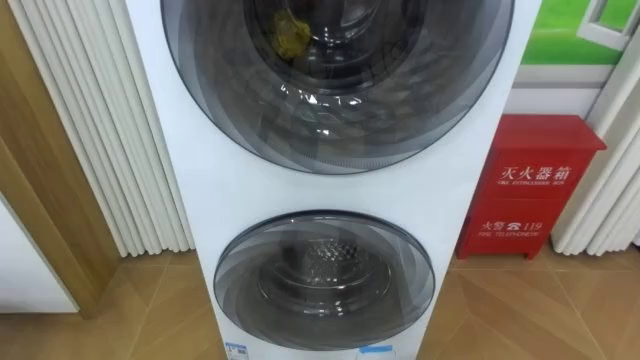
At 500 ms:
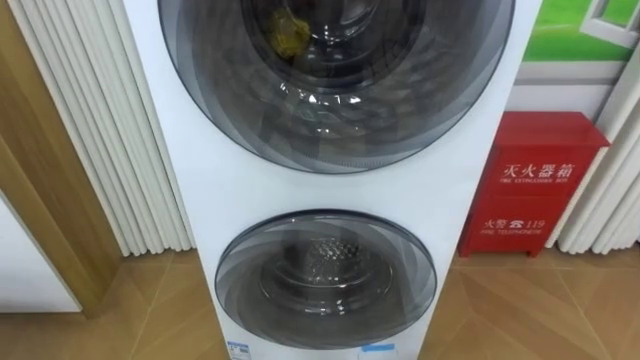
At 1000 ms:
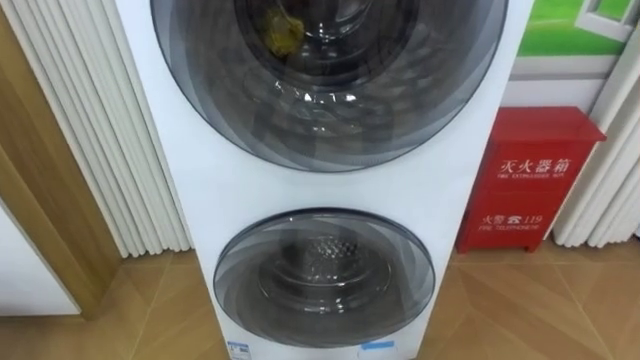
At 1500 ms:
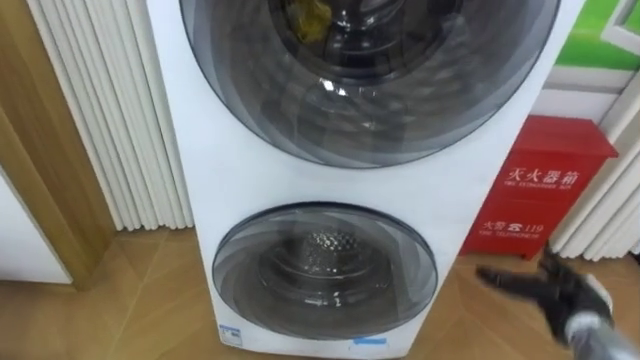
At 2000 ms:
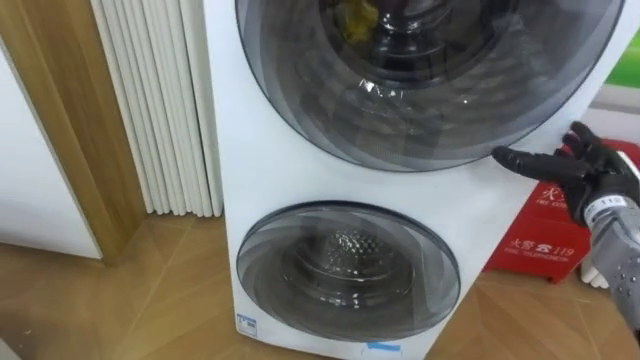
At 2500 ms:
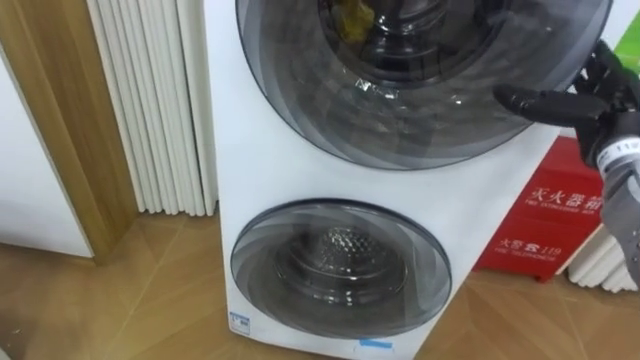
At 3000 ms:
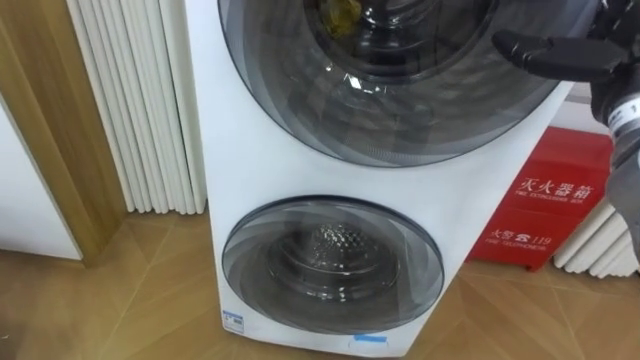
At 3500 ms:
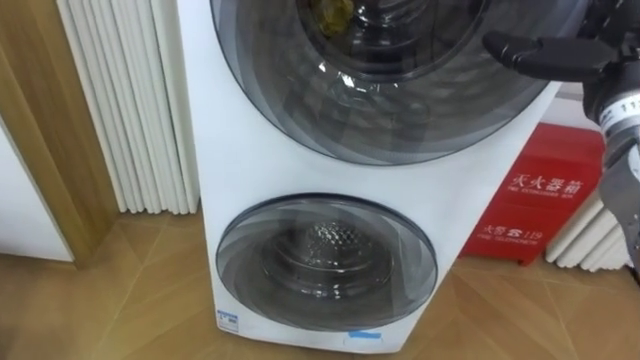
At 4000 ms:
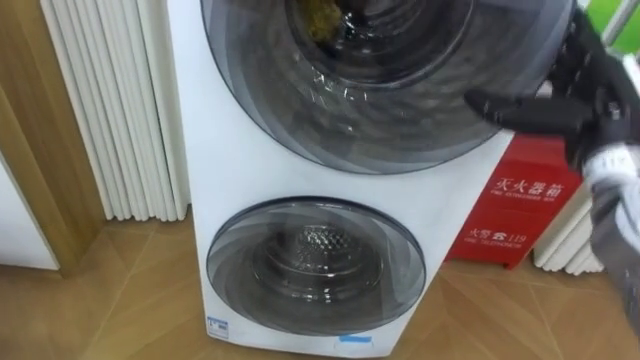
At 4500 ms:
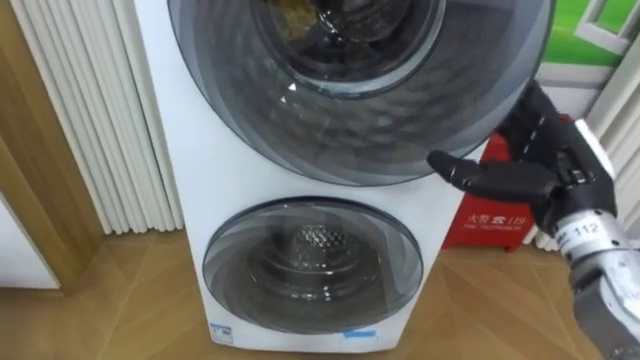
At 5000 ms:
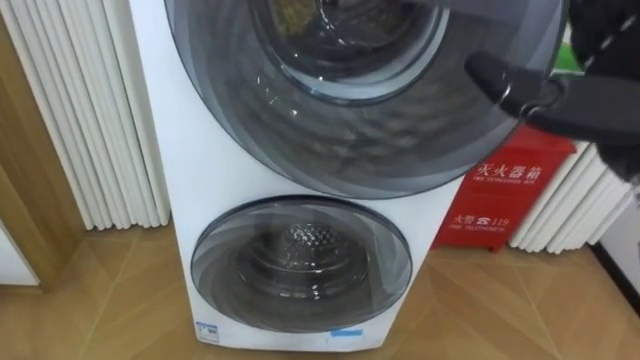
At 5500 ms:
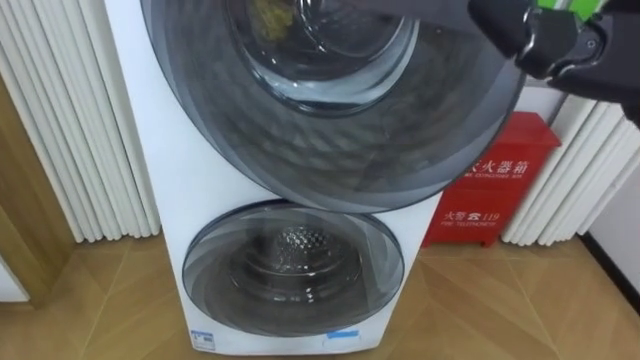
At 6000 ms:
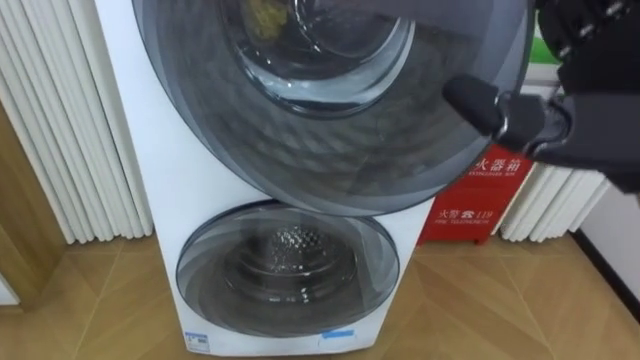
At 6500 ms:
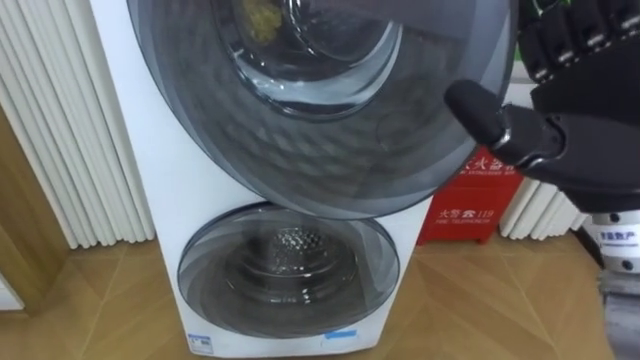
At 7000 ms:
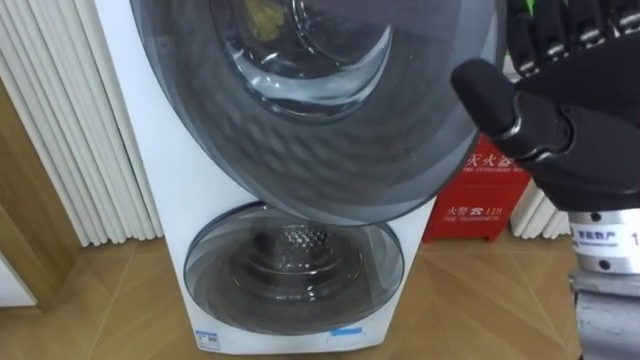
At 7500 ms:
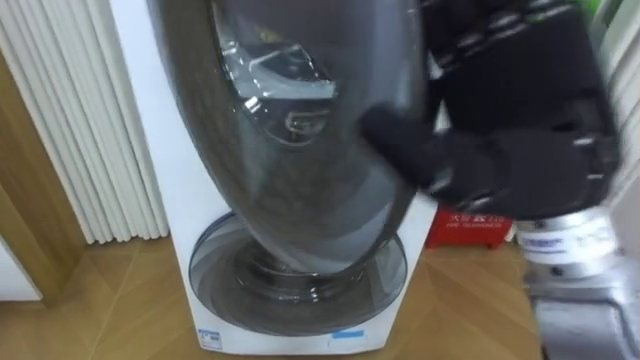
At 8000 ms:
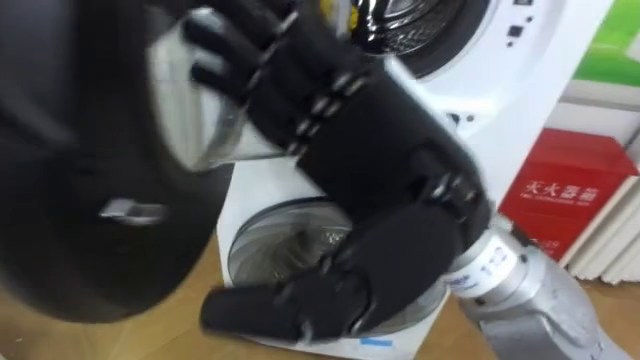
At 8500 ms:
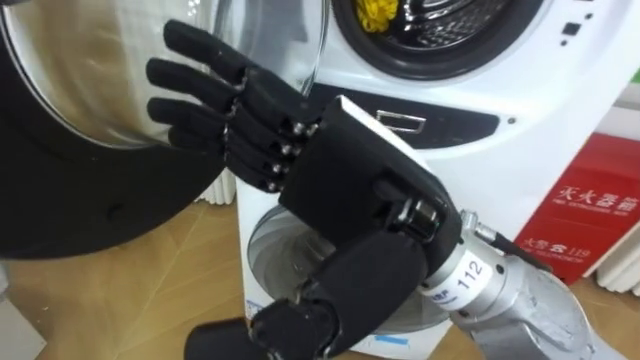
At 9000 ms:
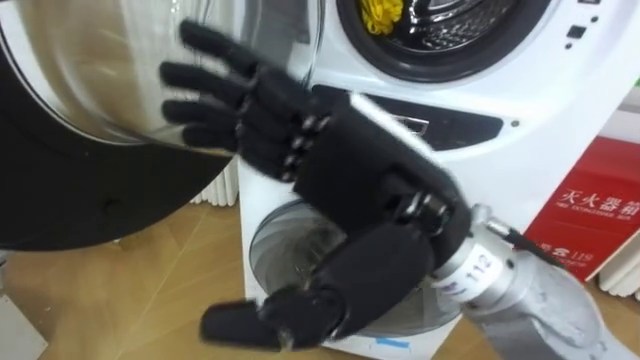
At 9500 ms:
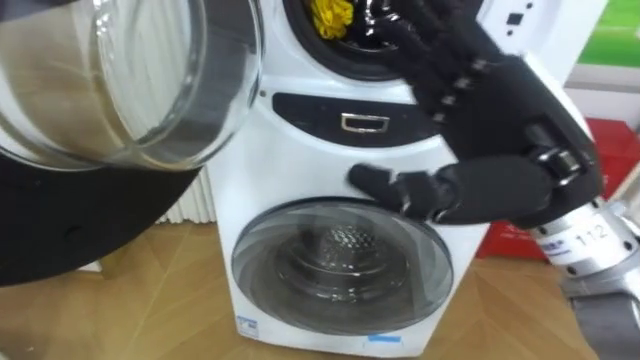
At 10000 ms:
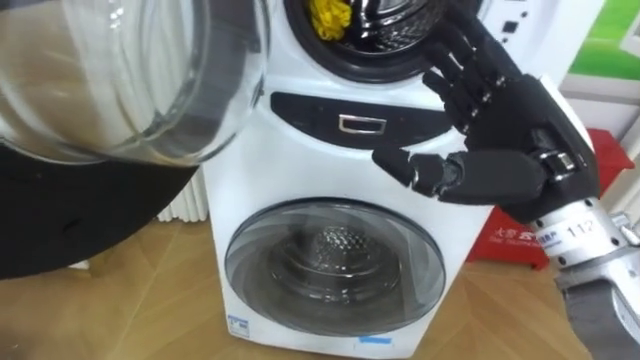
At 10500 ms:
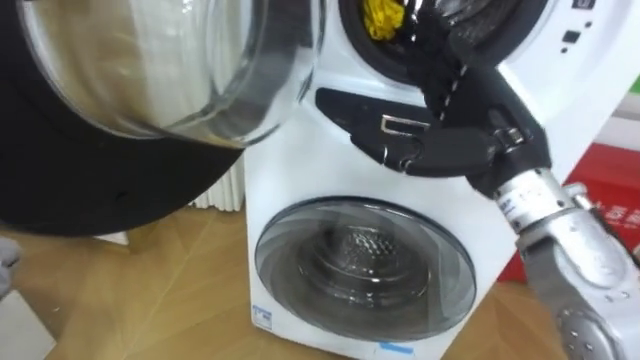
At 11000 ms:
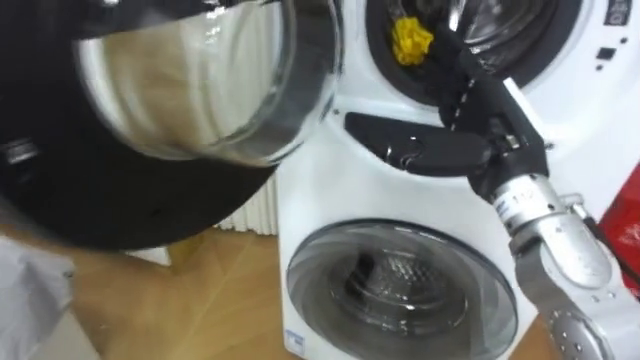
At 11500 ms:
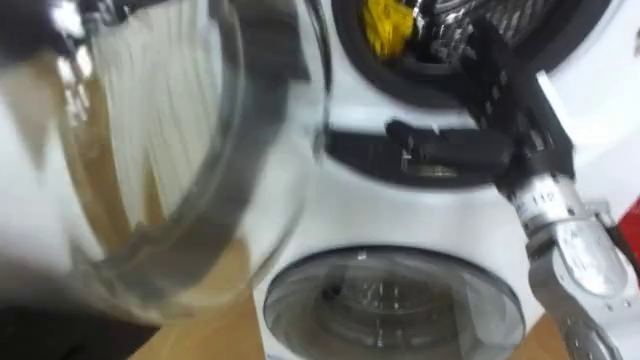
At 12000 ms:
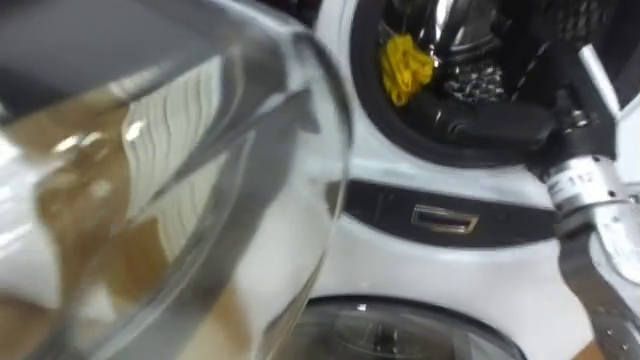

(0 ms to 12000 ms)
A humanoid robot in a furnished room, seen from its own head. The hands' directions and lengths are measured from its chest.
Task of the whole recording: Open the washing machine door, take out the yellow clothes, place them in the box on the right, and close the washing machine door.
2000 ms - 4000 ms: The right hand moves upward and to the left, approximately 15 cm.
6000 ms - 8000 ms: The right hand moves to the left, about 15 cm.
8000 ms - 10000 ms: The right hand is displaced to the right, forward and downward by approximately 15 cm.
10000 ms - 12000 ms: The right hand changes place by some 5 cm.

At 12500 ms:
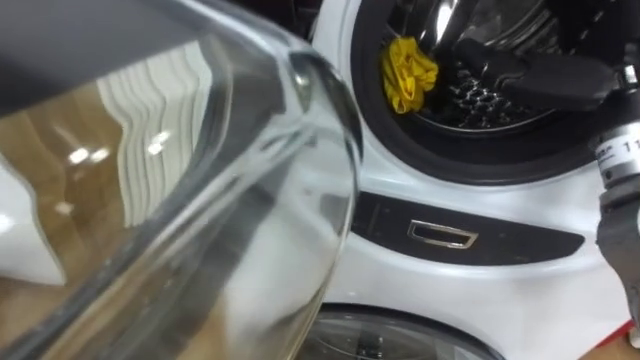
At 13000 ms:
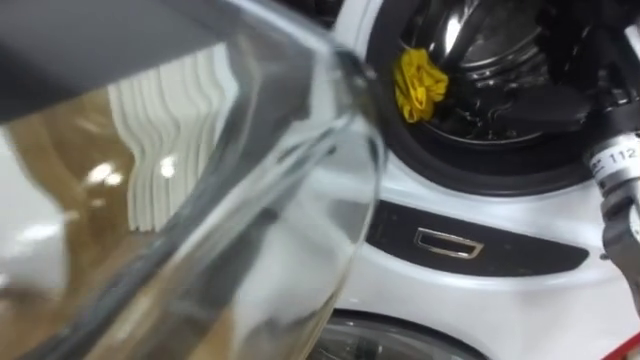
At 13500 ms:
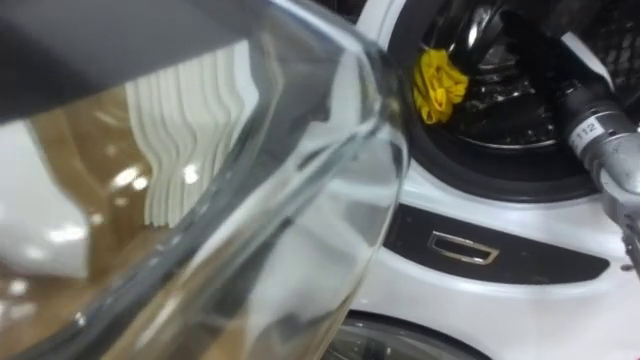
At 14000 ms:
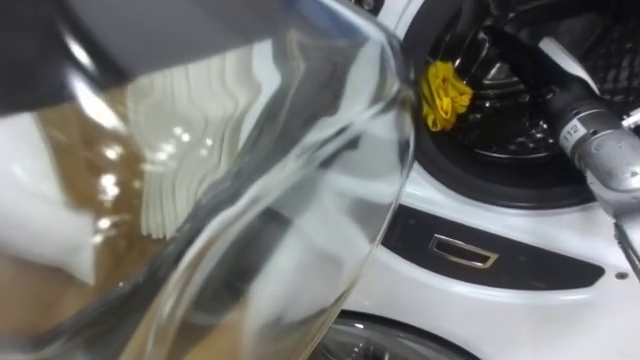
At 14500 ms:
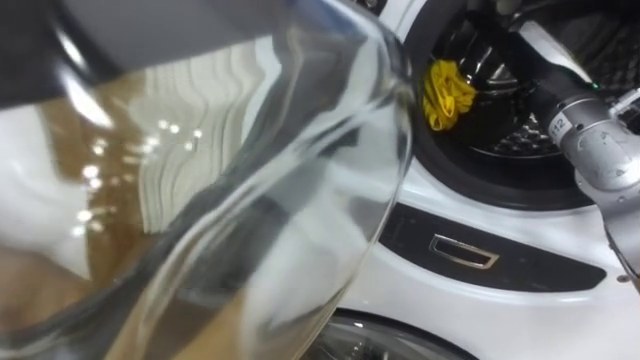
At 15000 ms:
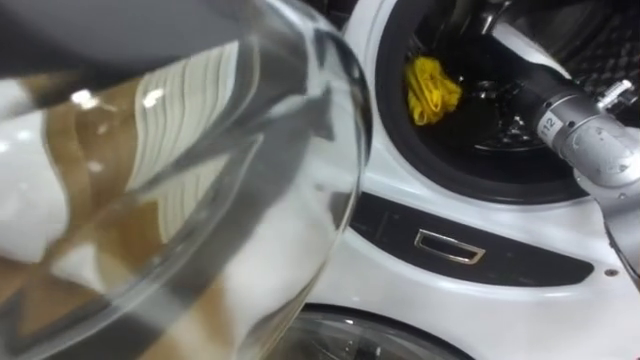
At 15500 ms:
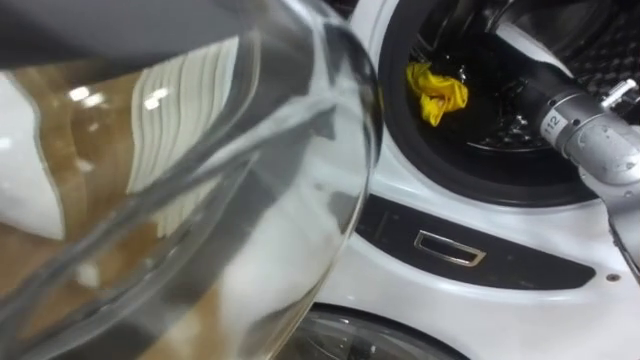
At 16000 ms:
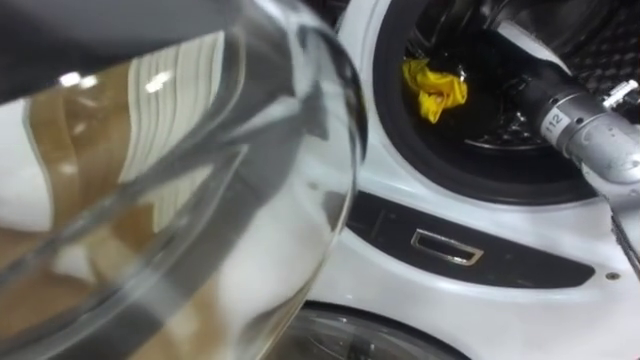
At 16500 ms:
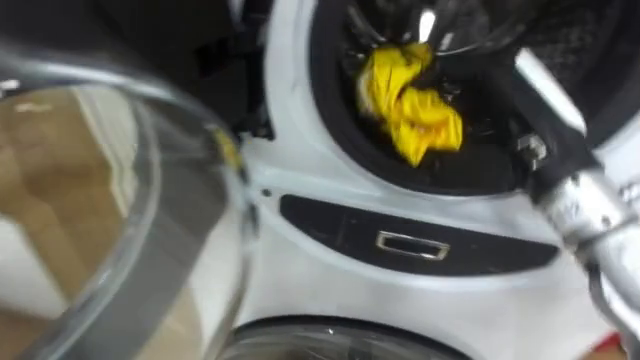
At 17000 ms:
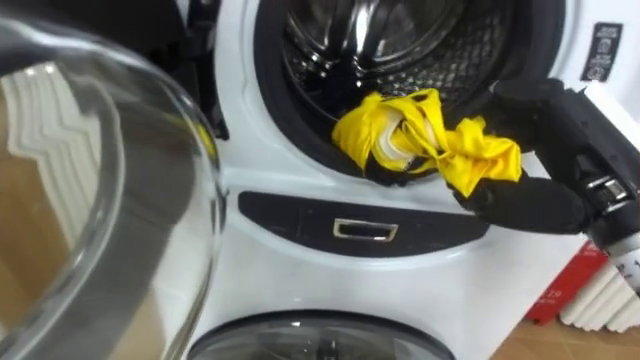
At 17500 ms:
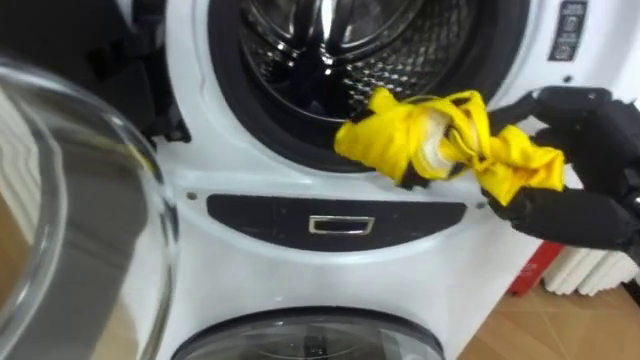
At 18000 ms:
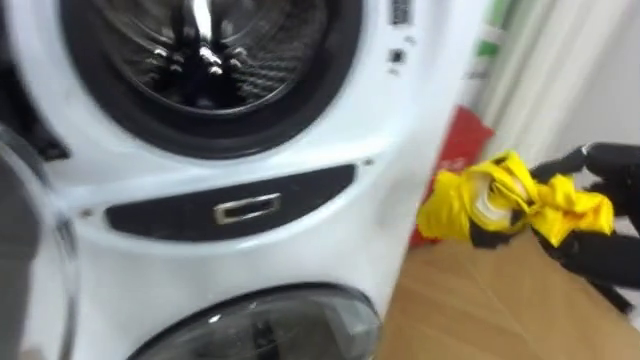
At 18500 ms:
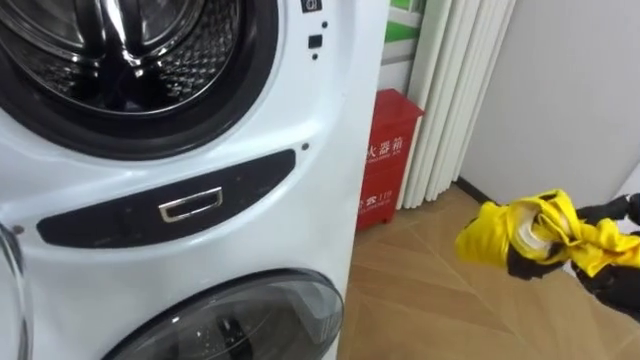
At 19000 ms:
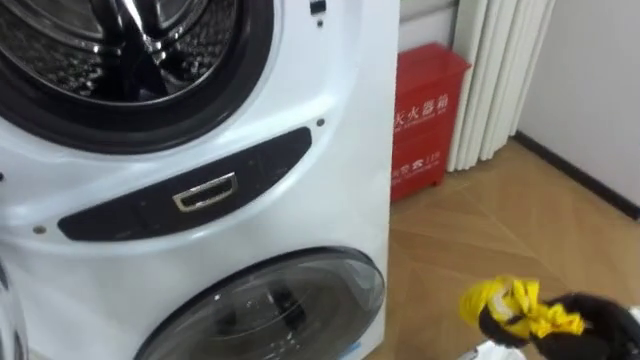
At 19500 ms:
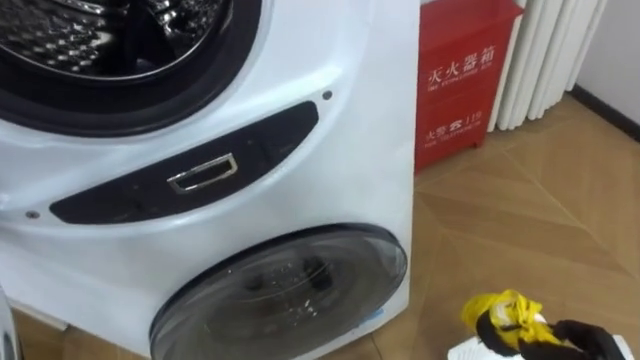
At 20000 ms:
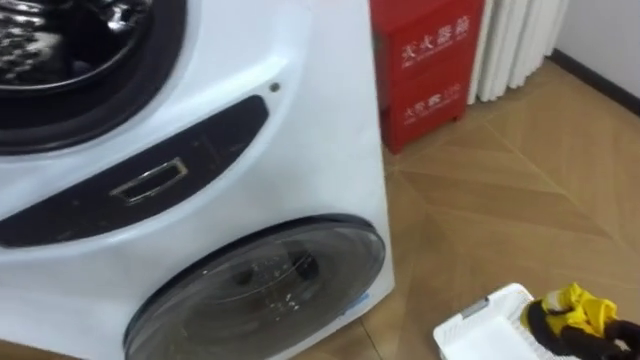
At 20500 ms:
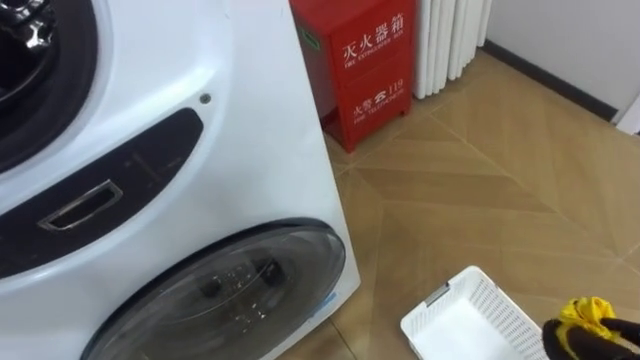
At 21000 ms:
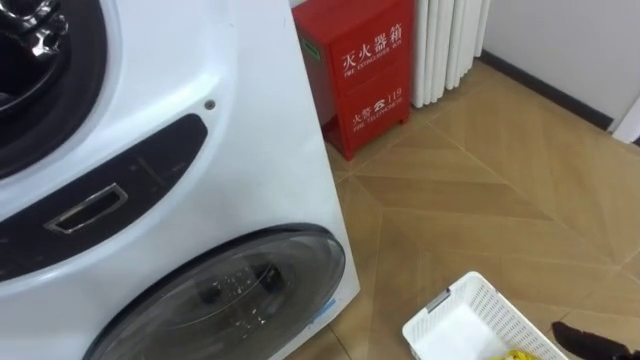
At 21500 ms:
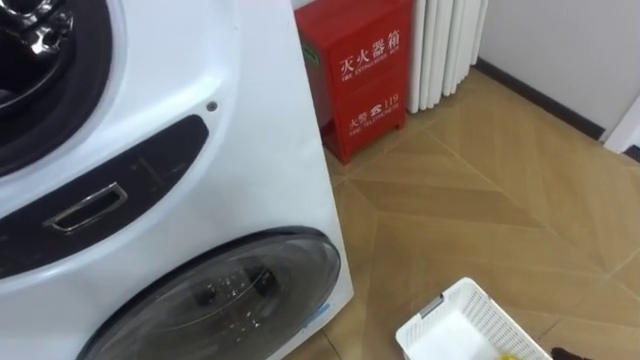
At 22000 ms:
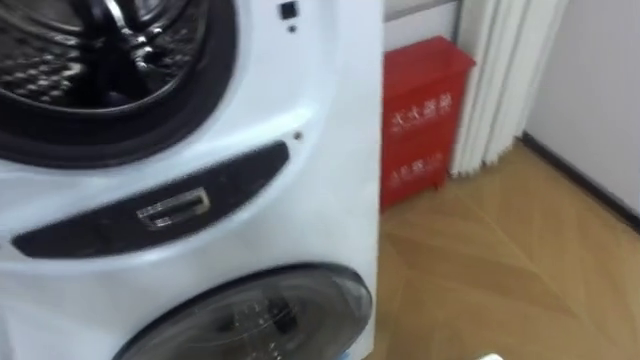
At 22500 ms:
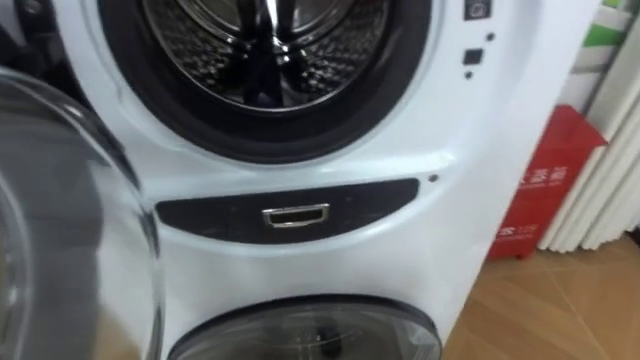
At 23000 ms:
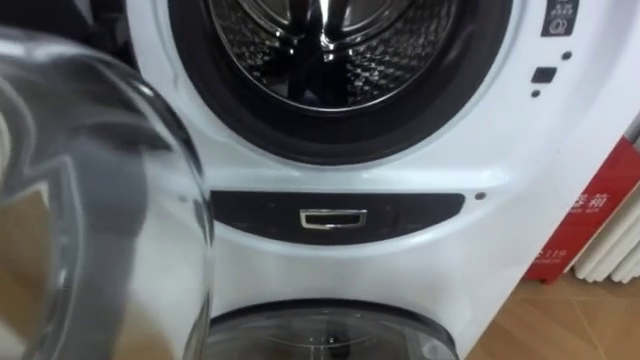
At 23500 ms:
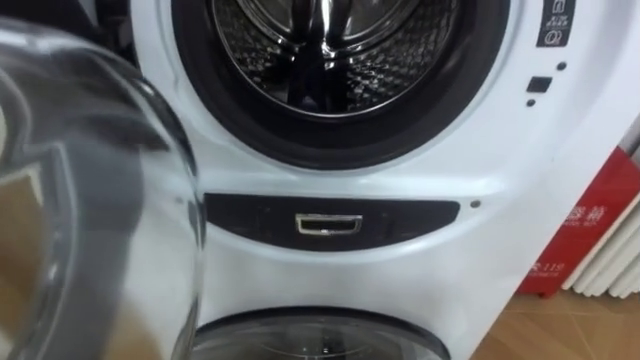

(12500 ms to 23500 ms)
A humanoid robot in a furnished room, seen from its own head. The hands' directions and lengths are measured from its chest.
Task of the whole recording: Open the washing machine door, take out the yellow clothes, place them in the box on the right, and close the washing machine door.
12500 ms - 14500 ms: The right hand goes some 5 cm forward.
14500 ms - 16000 ms: The right hand closes its fingers.
